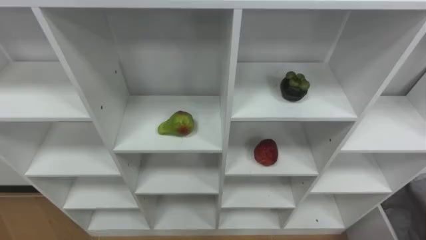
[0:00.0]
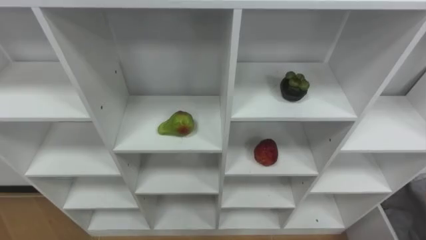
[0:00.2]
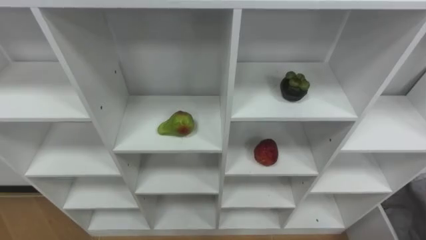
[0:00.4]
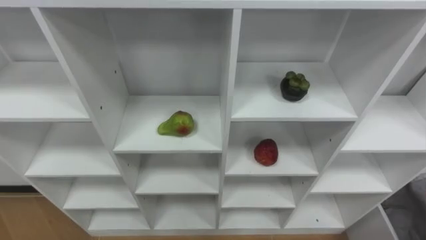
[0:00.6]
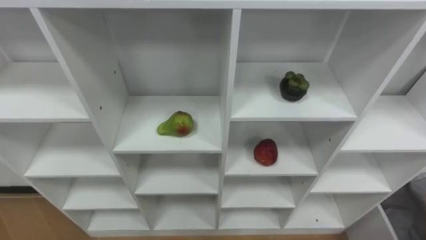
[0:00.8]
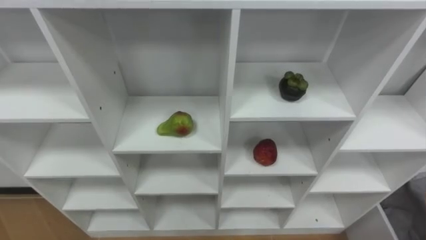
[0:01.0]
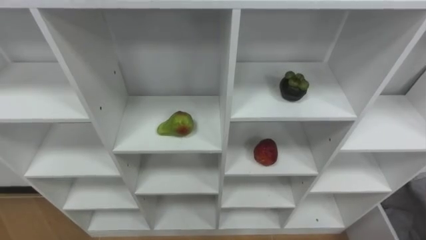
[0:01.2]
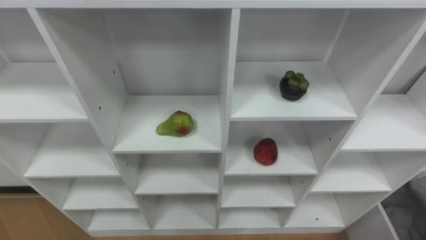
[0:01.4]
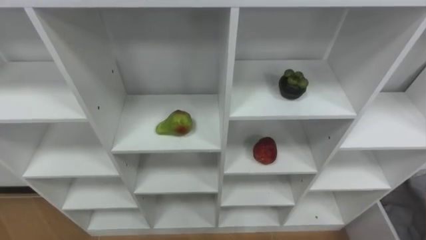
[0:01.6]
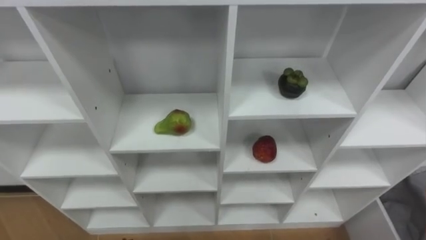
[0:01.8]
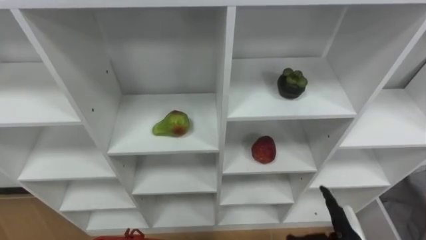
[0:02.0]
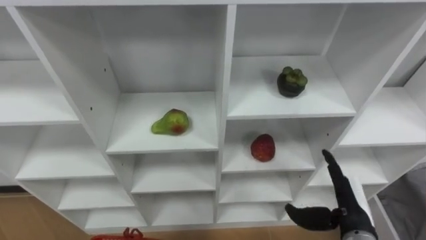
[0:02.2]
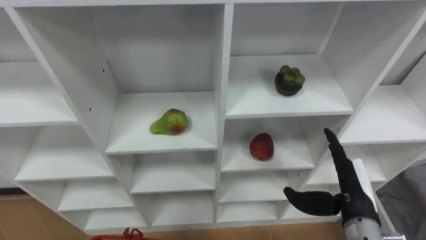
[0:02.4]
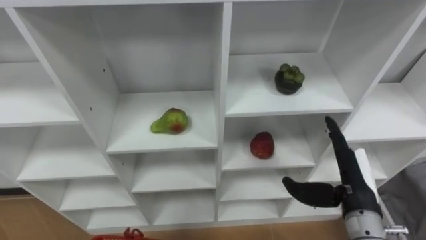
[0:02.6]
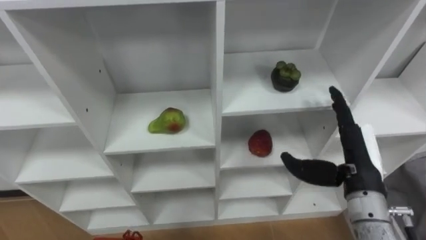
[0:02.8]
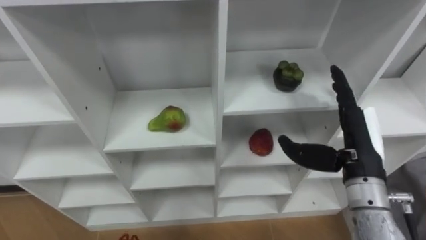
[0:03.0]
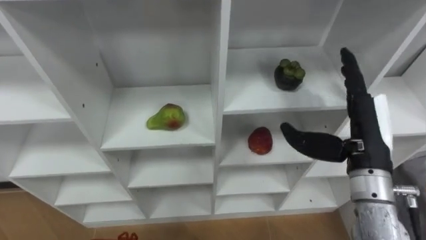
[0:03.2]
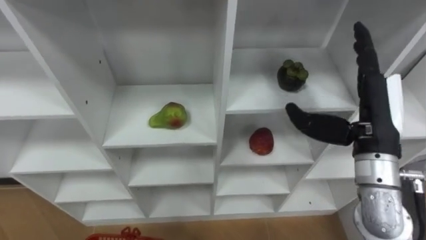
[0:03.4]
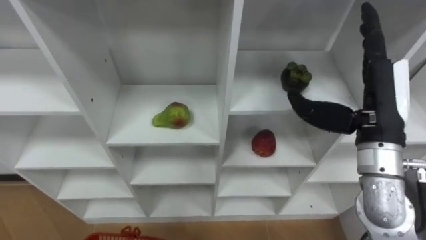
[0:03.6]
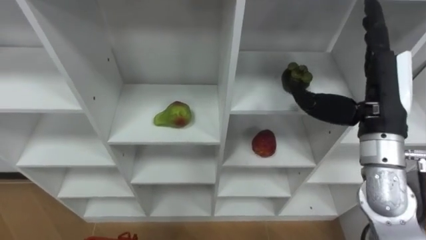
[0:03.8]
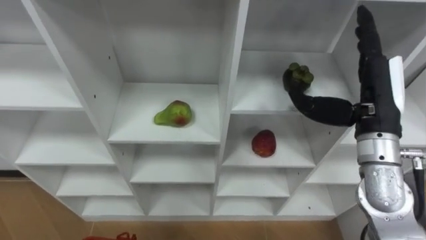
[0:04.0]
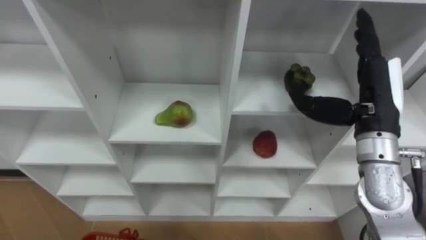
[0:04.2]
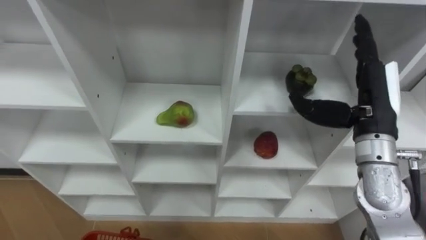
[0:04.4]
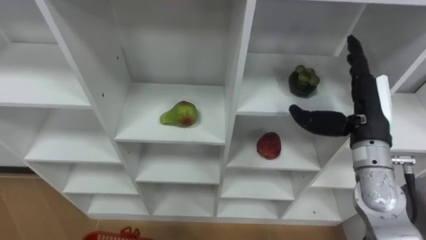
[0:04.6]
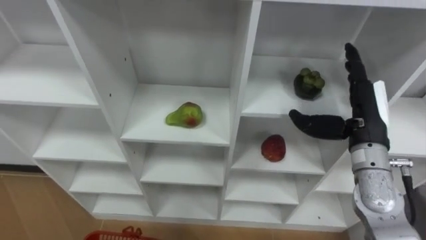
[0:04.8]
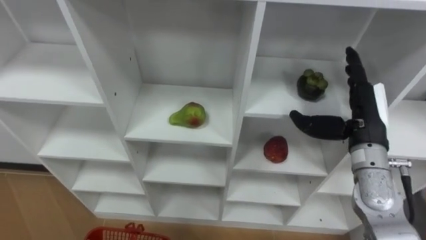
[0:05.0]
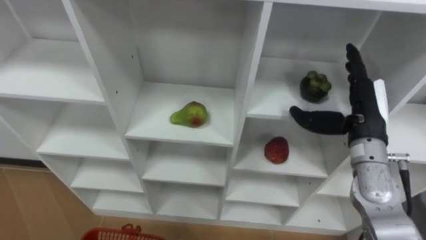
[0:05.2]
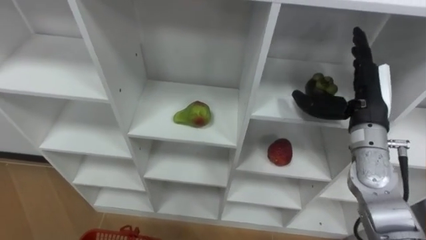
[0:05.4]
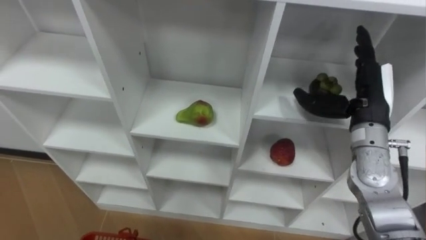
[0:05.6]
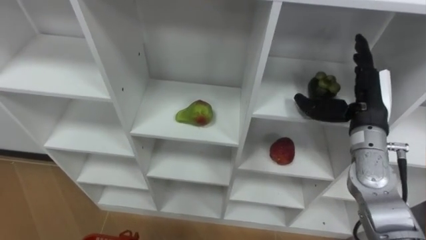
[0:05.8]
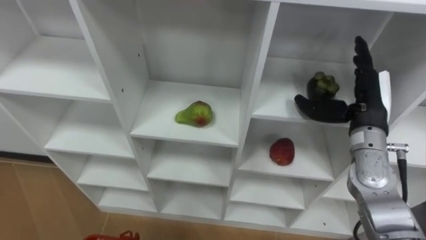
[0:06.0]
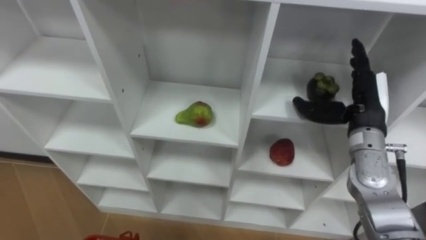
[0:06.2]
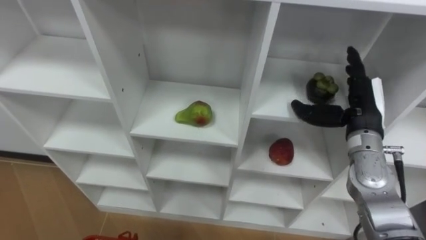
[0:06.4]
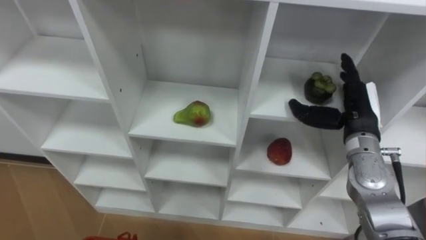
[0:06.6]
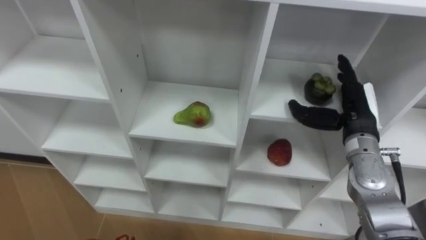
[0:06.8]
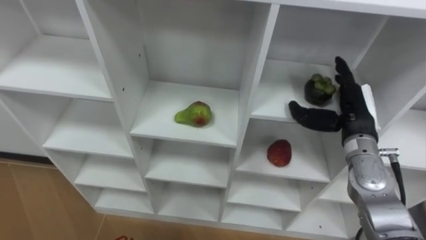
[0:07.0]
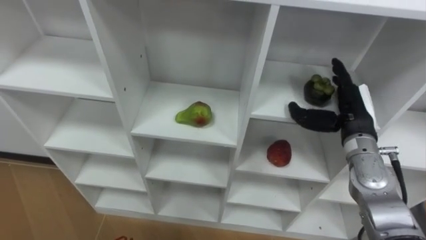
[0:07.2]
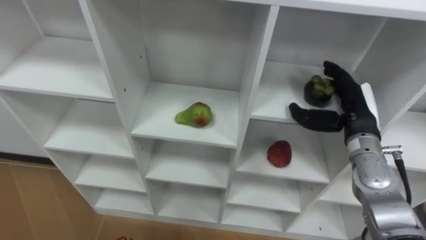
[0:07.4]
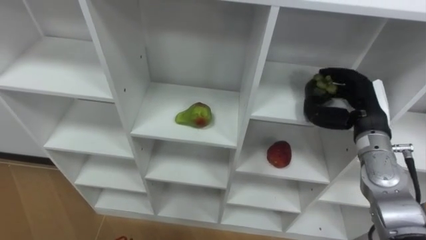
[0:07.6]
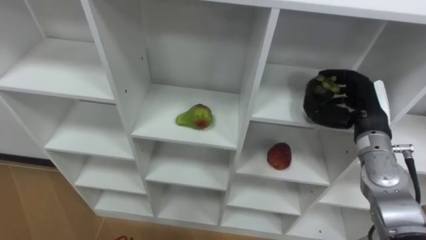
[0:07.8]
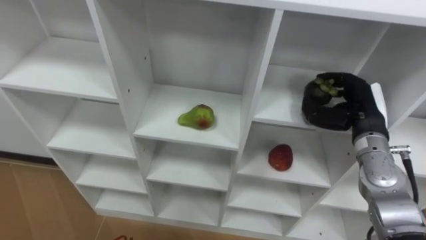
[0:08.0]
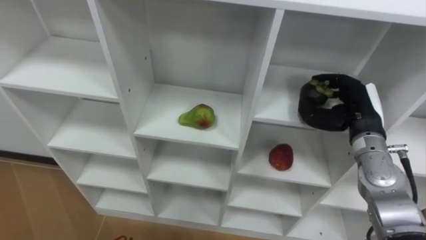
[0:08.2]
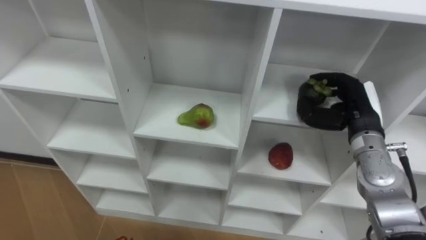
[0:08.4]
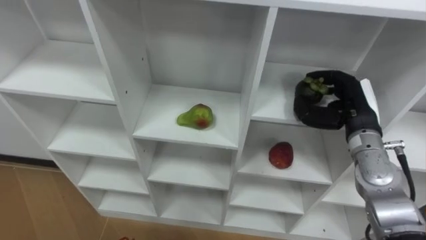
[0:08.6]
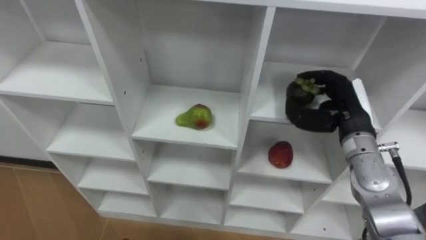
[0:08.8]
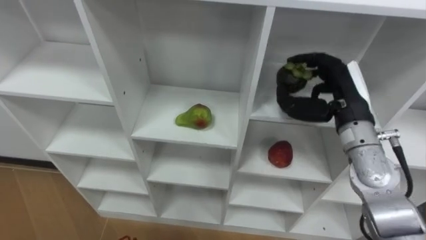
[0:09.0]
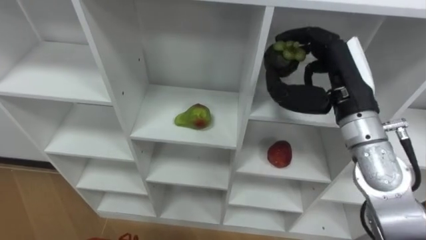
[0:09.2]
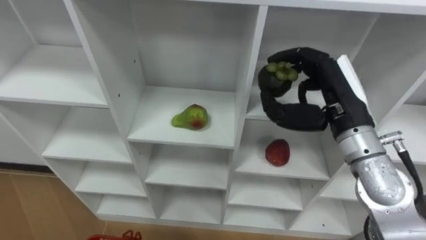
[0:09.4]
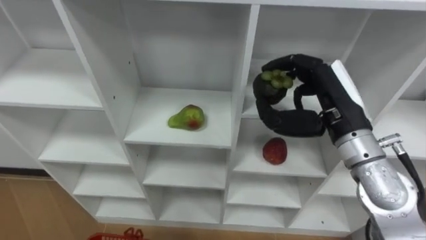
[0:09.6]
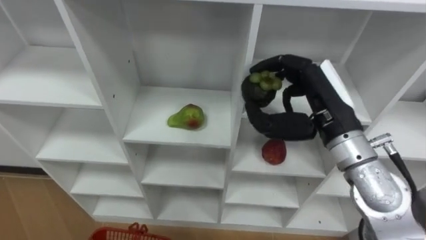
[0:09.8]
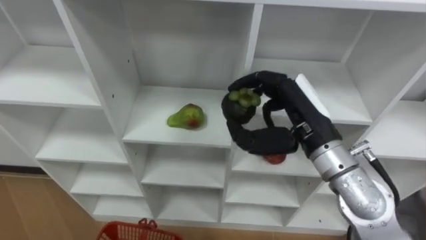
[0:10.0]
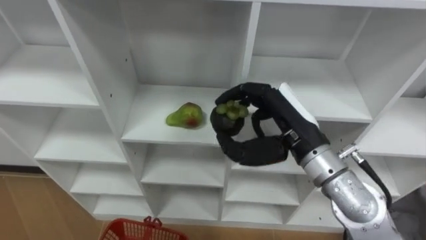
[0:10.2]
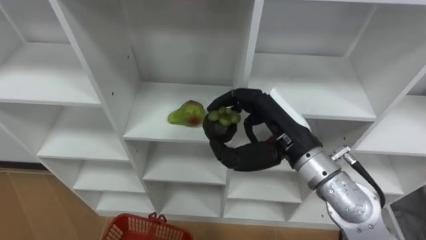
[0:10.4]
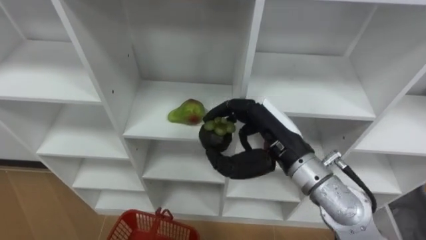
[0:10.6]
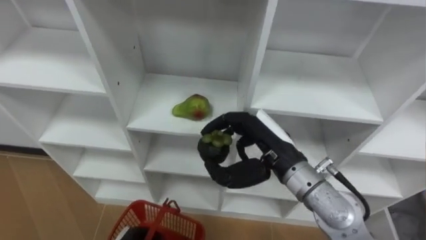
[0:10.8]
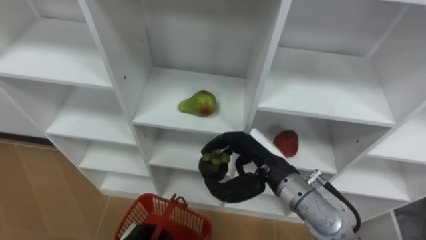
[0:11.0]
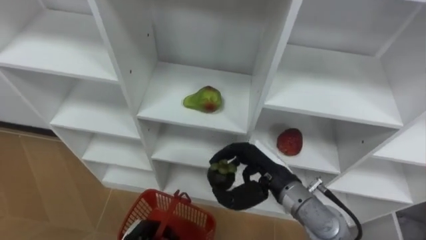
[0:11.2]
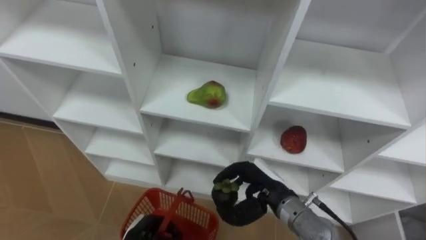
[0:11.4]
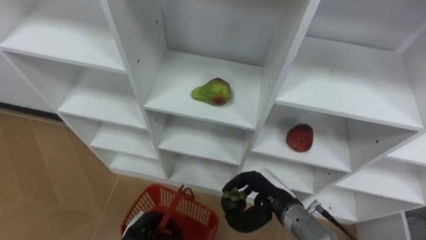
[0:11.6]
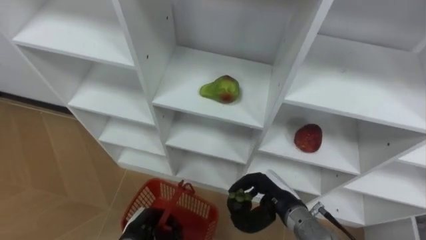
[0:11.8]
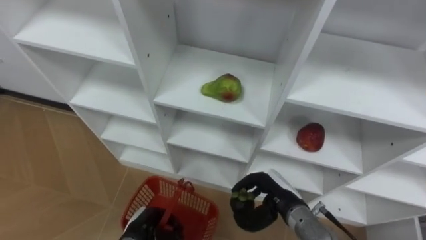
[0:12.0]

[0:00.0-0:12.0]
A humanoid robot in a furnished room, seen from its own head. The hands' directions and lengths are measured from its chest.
Task of the whole recording: Hold the basket and collect the fruits from 3 different cells of the closet into it.
0:03.0 to 0:04.4: The right hand moves some 5 cm.
0:04.4 to 0:06.0: The right hand shifts by approximately 5 cm.
0:06.0 to 0:07.6: The right hand closes its fingers.
0:07.6 to 0:09.0: The right hand ends up about 5 cm from where it was.
0:09.0 to 0:10.4: The right hand shifts some 10 cm to the left and backward.
0:10.4 to 0:12.0: The right hand goes roughly 20 cm downward.

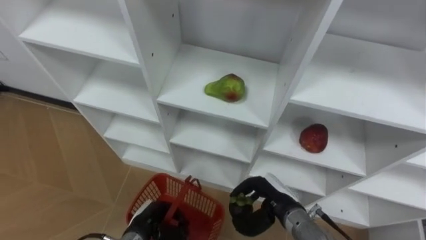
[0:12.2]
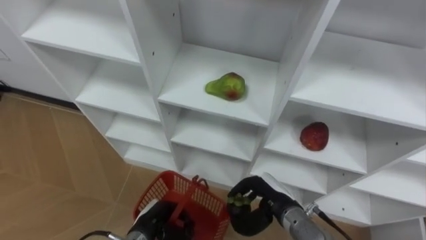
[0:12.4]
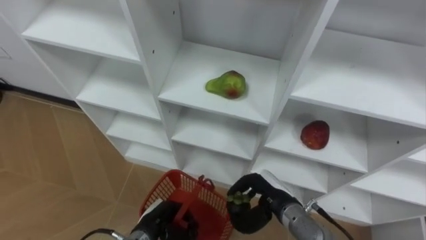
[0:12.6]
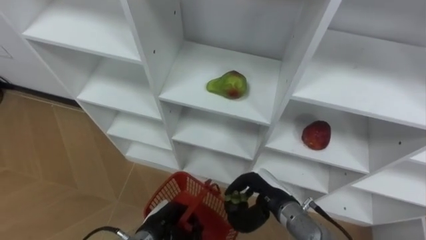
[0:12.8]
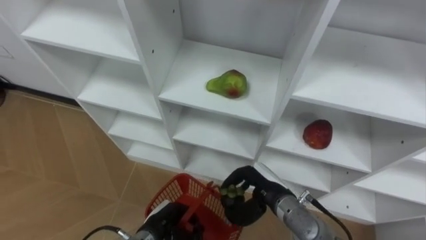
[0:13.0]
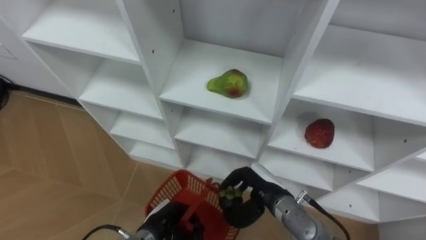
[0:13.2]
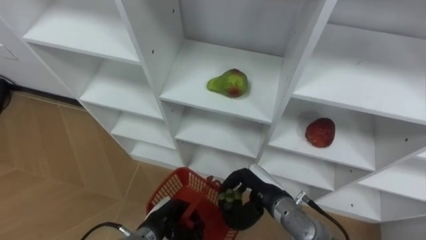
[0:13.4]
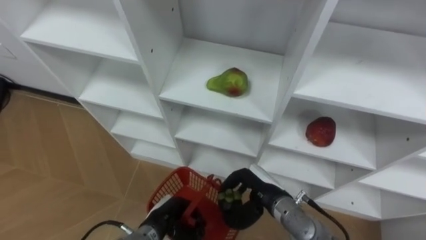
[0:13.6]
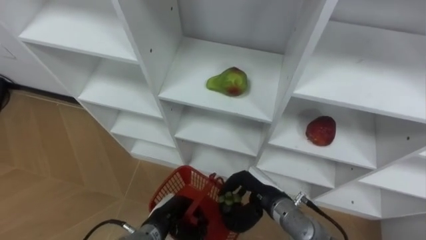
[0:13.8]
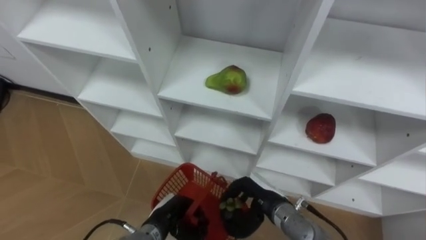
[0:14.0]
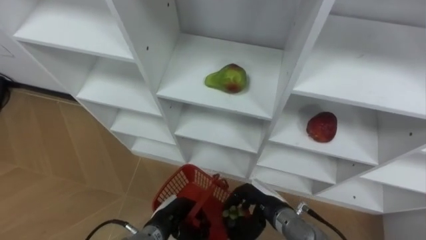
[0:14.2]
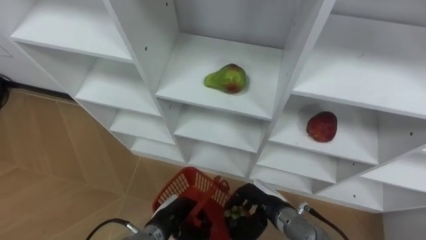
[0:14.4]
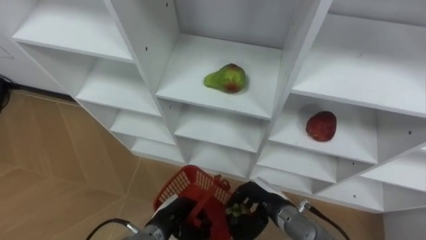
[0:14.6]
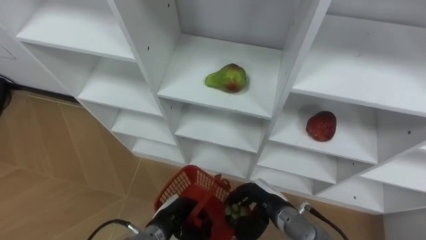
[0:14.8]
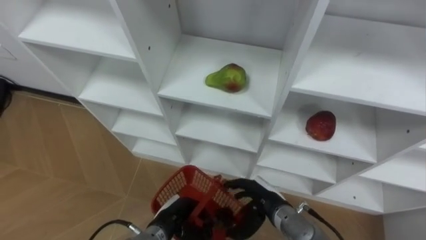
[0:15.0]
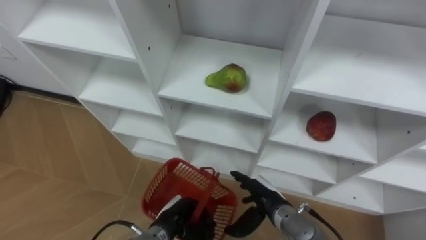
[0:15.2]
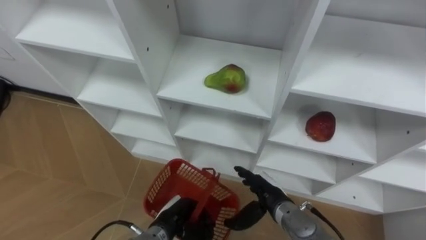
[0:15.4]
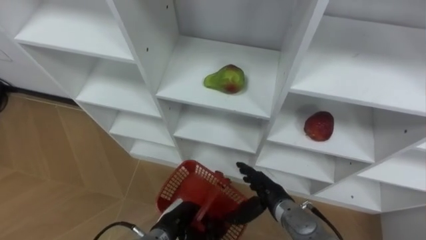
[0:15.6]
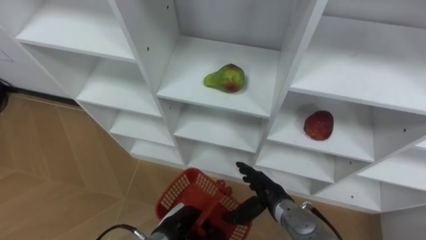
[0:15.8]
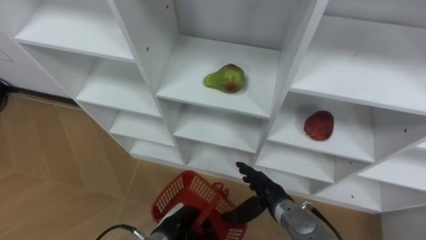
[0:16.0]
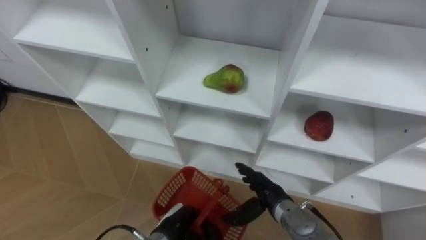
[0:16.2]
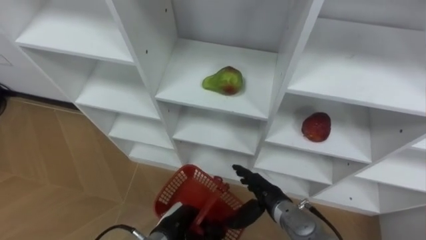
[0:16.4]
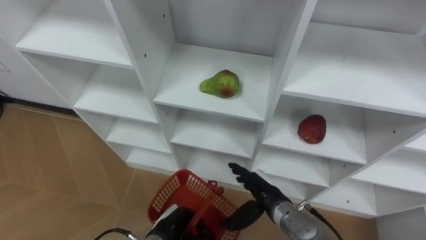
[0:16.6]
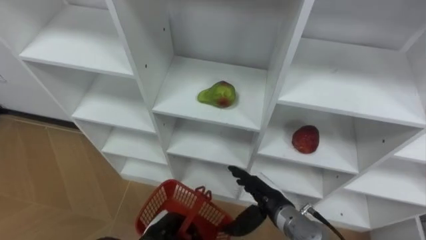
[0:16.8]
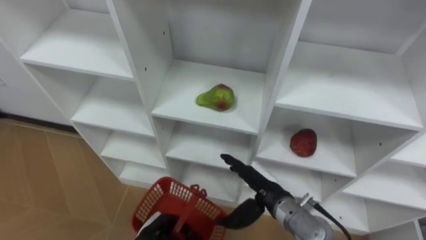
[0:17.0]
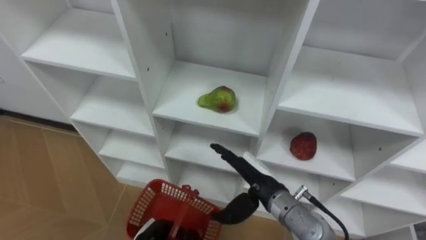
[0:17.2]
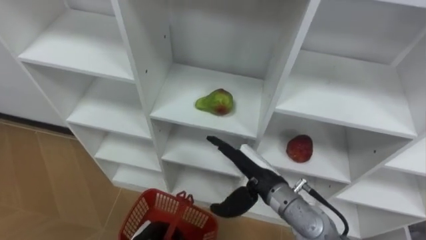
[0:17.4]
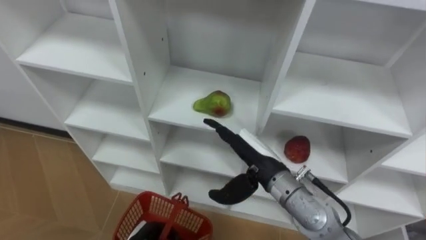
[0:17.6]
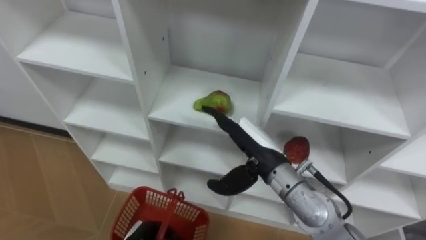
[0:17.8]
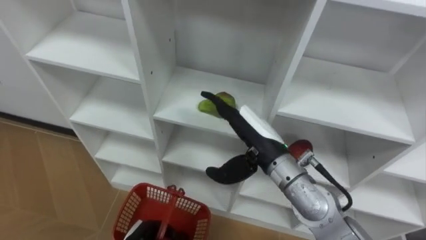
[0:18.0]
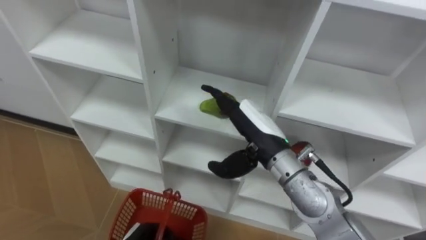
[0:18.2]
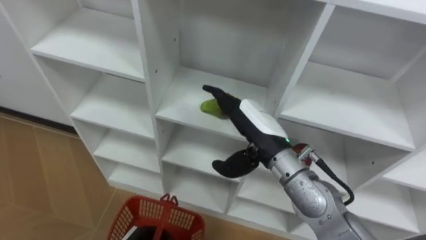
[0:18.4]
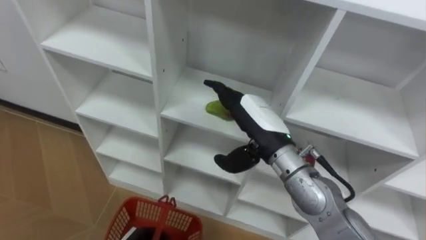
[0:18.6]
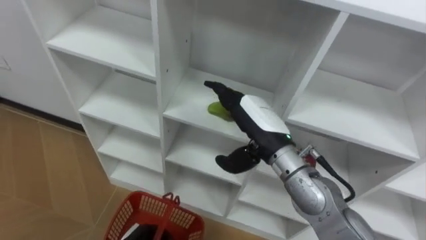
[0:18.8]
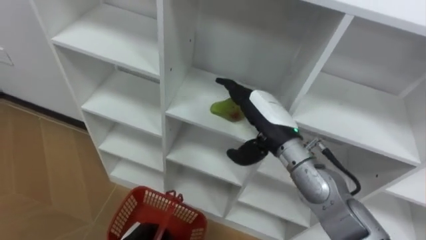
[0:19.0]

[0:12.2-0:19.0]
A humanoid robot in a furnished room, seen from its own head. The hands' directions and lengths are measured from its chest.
Task of the whole recording: Hold the basket and collect the fruits from 3 different cells of the closet into it.
0:13.6 to 0:15.0: The right hand opens its fingers.
0:16.2 to 0:17.6: The right hand is displaced upward by roughly 15 cm.
0:17.6 to 0:19.0: The right hand shifts roughly 5 cm upward.
